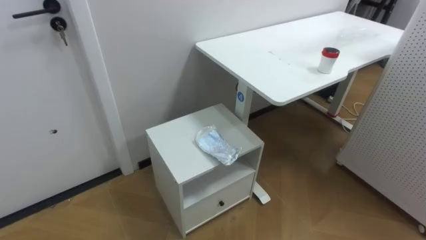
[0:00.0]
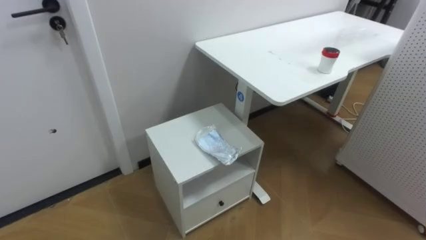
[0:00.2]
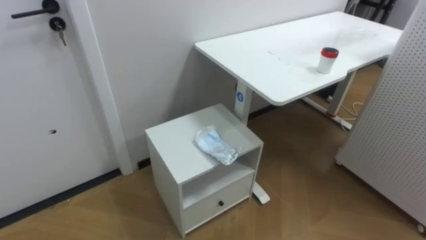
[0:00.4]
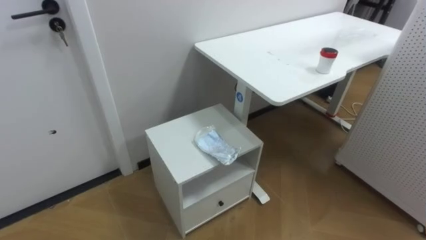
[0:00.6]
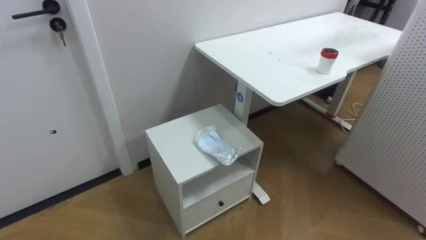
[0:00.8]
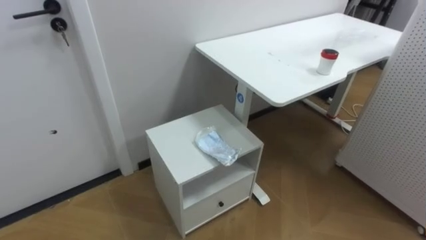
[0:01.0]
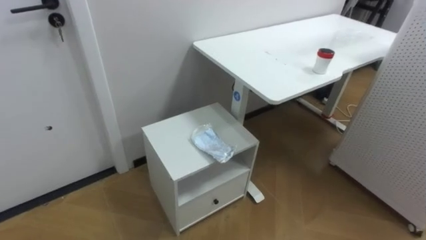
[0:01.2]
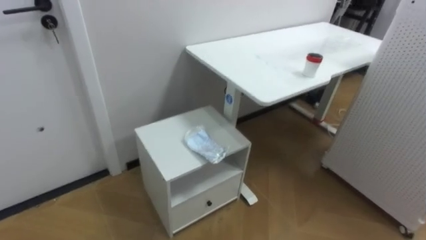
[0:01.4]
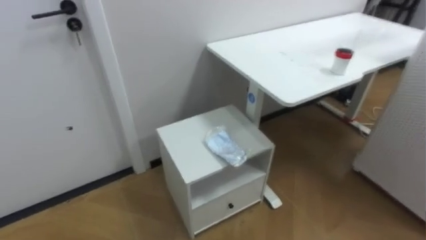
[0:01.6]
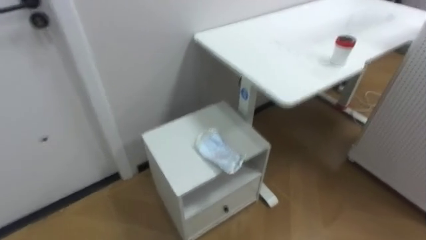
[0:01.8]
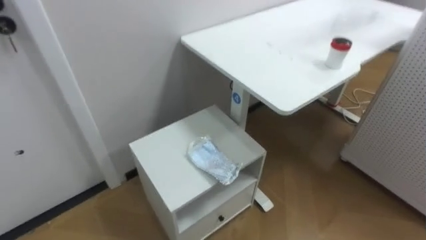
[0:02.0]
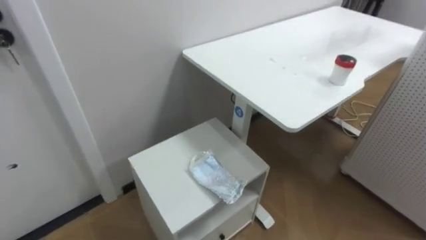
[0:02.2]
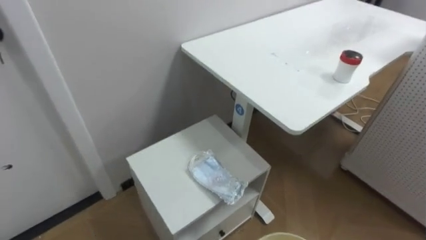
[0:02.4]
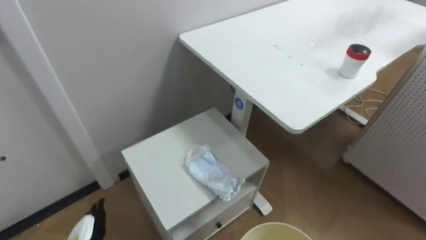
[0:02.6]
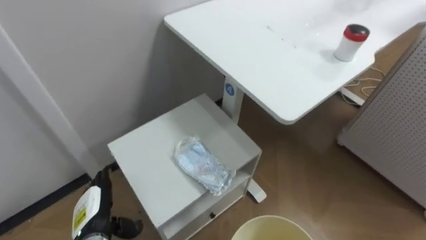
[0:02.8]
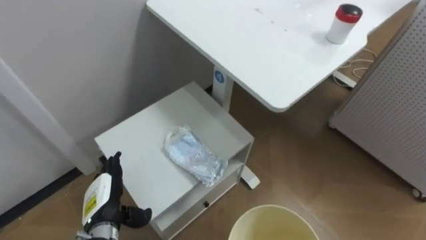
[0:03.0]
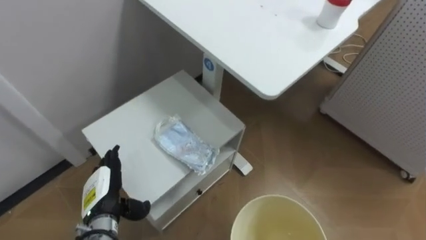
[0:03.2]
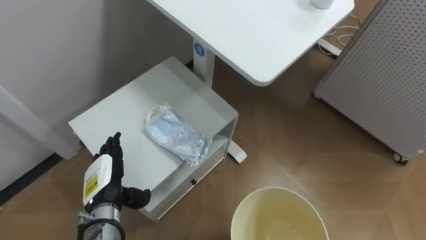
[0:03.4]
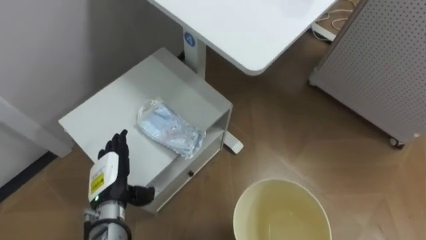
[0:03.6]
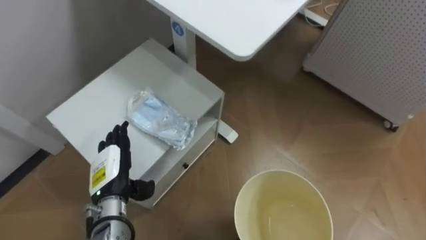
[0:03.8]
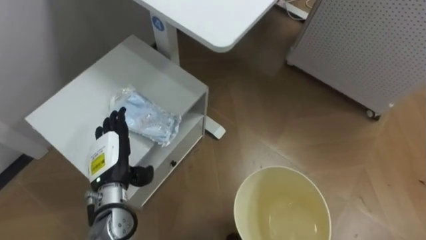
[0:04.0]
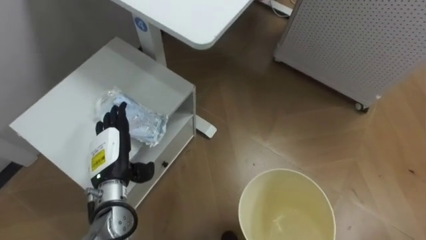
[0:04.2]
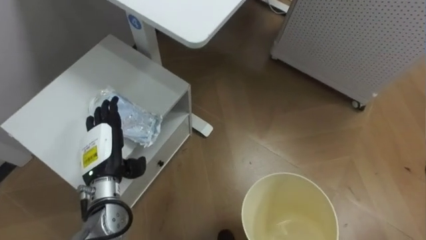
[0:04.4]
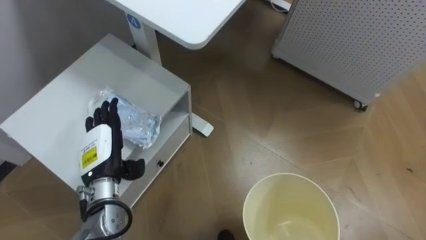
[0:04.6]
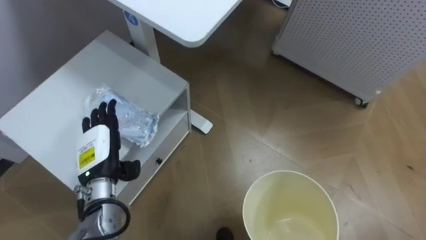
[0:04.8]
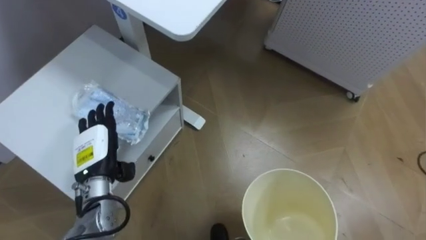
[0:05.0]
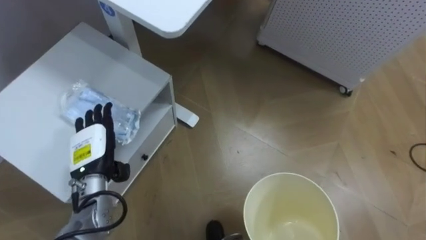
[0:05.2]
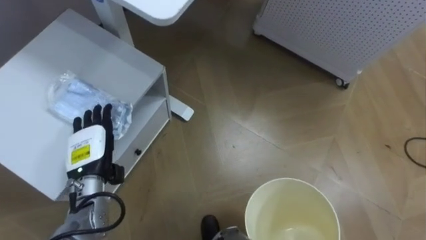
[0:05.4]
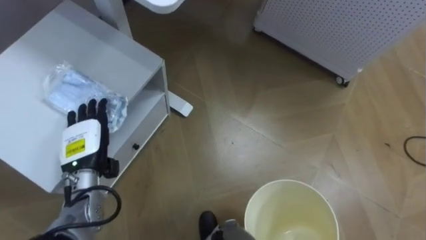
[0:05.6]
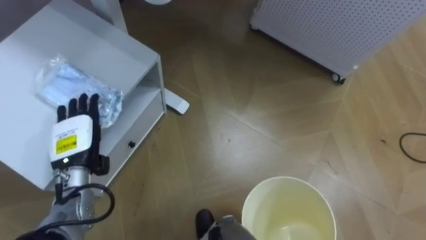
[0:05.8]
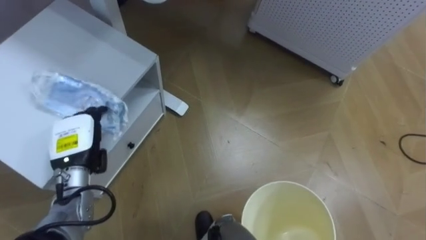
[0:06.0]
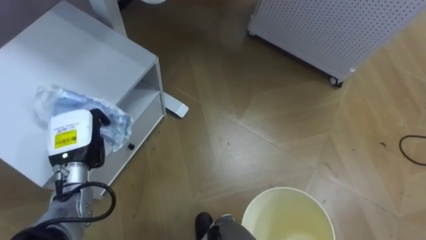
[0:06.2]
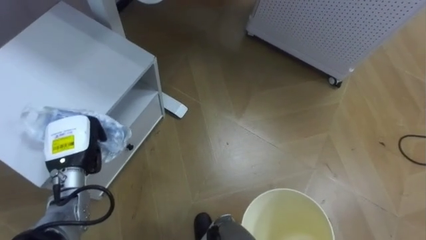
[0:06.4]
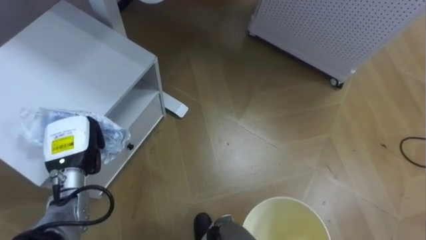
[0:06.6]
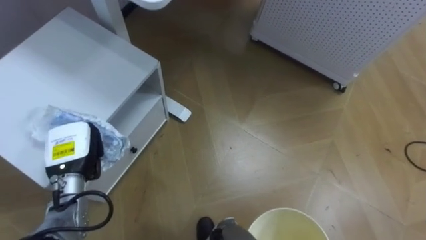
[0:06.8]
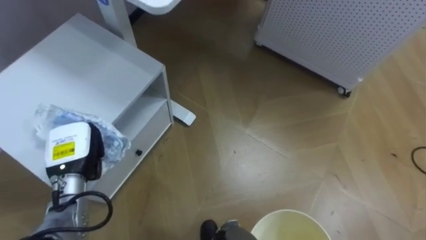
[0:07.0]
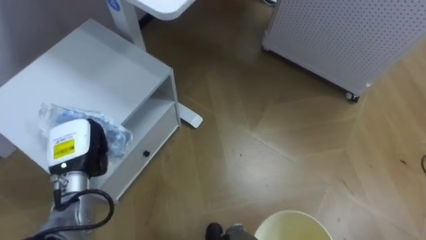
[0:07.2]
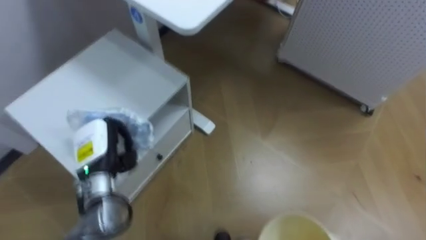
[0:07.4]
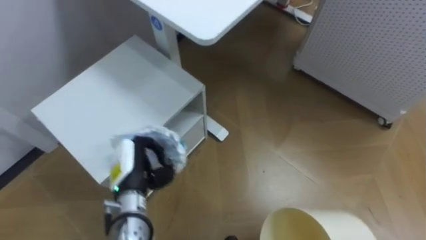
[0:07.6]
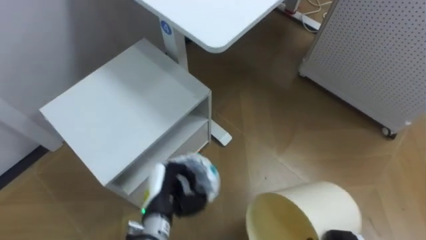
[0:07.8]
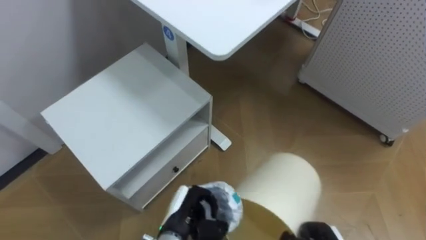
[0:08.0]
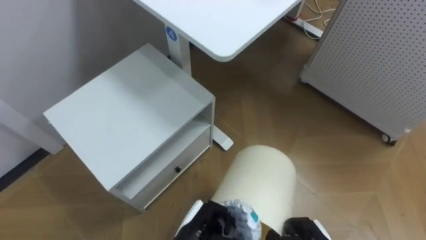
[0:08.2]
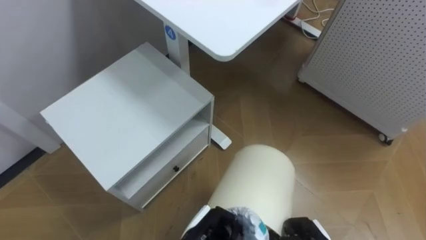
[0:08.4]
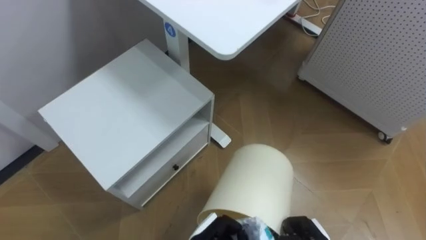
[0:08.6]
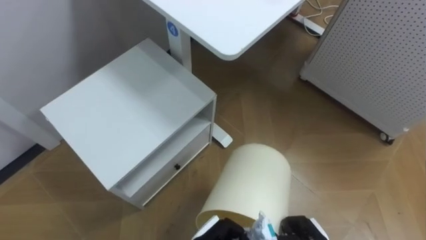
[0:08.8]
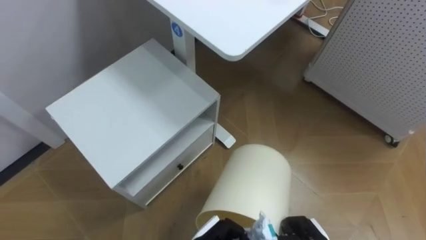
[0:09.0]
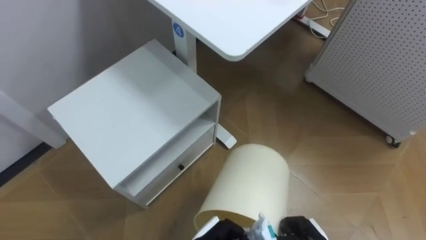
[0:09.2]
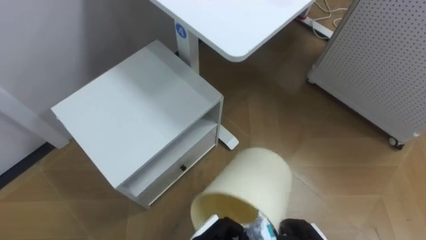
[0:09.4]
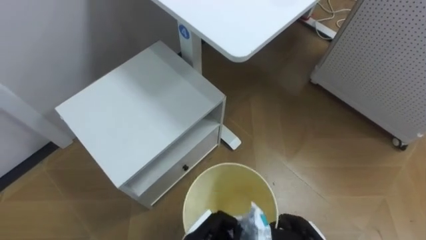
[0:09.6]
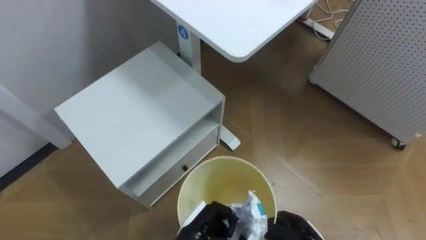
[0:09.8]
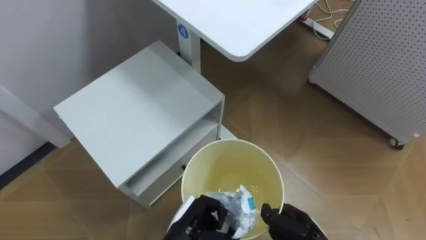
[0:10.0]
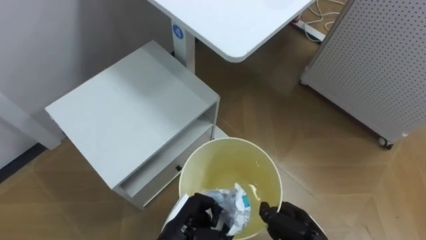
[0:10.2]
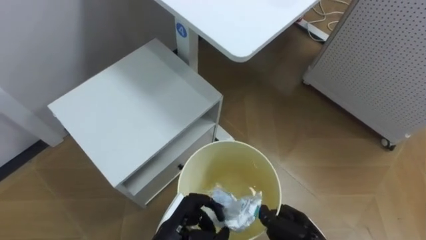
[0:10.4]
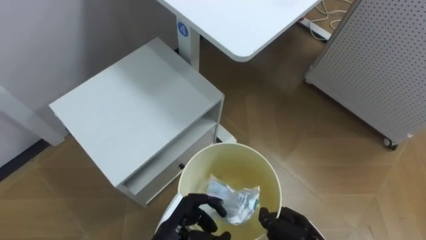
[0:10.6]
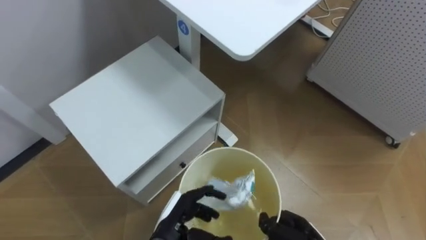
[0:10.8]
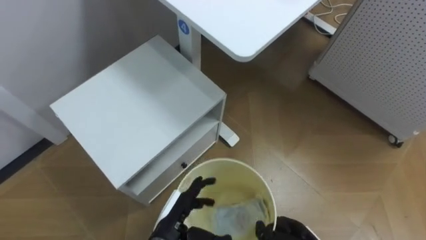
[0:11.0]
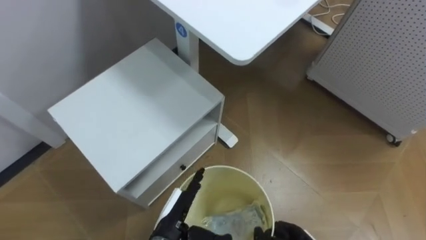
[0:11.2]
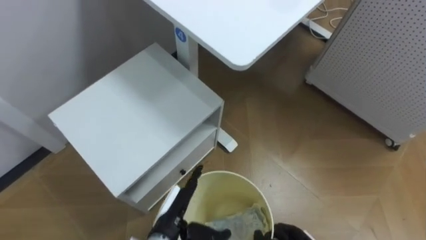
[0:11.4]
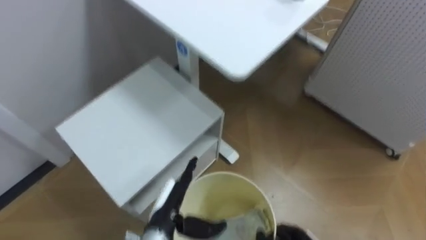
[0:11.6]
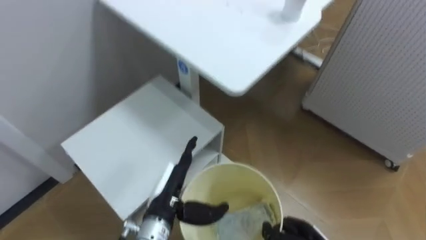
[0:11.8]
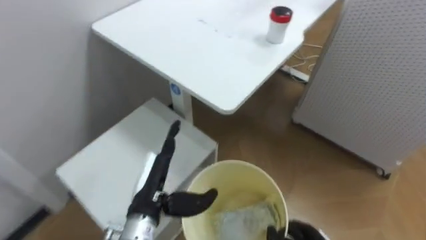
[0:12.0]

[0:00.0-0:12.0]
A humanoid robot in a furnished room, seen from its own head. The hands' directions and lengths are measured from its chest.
Task of the whole recording: Pick up the light blue package, the candy box, and the dark blue package separately, and put them into the trash can held in your right hand.
0:03.0 to 0:04.4: The left hand shifts about 10 cm upward and forward.
0:04.4 to 0:06.0: The left hand ends up some 5 cm from where it was.
0:06.0 to 0:07.6: The left hand shifts some 10 cm to the right, and closes.
0:10.4 to 0:12.0: The left hand heads upward, covering roughly 10 cm, and opens up.

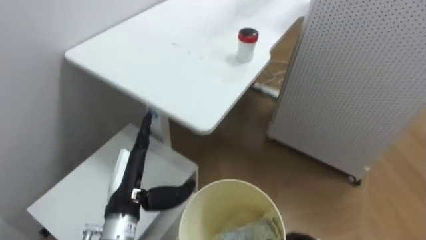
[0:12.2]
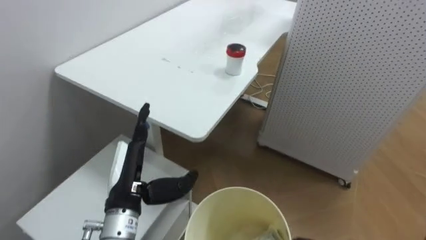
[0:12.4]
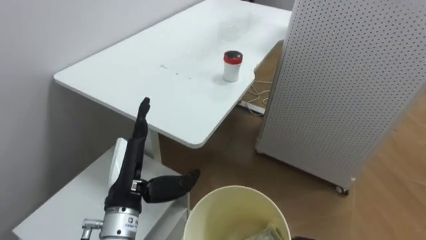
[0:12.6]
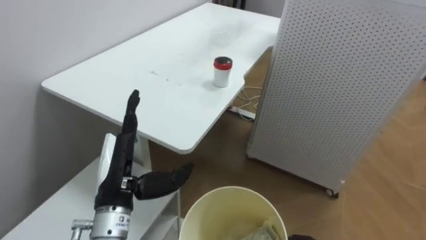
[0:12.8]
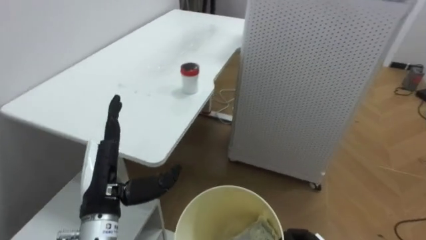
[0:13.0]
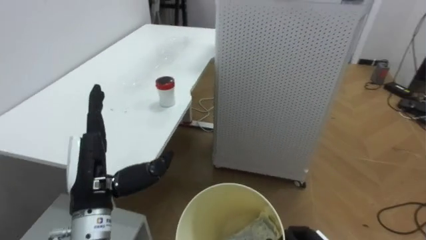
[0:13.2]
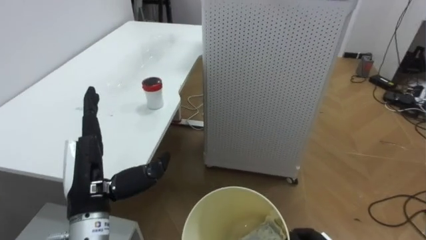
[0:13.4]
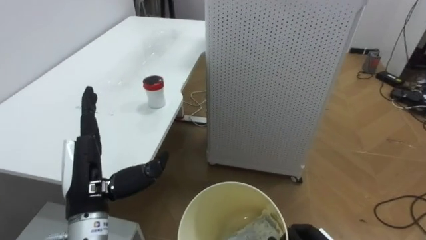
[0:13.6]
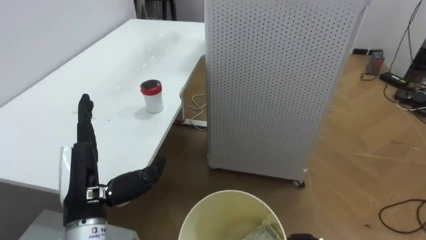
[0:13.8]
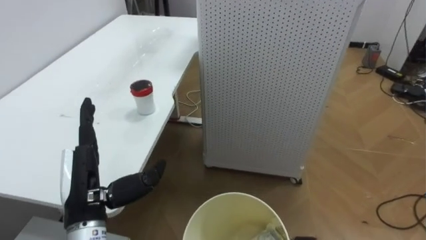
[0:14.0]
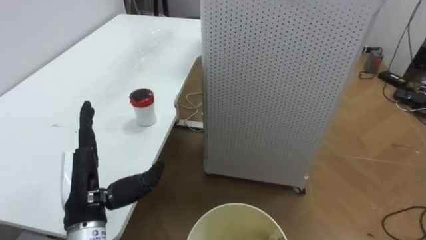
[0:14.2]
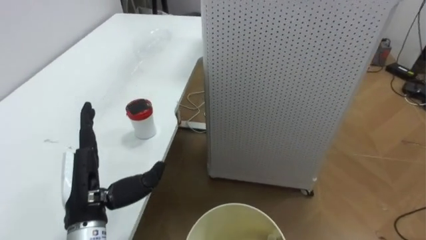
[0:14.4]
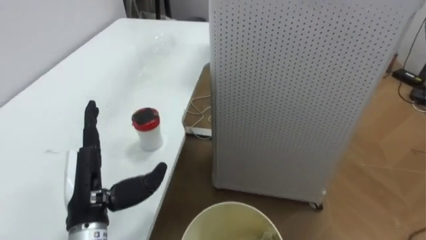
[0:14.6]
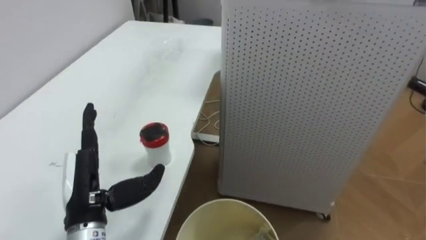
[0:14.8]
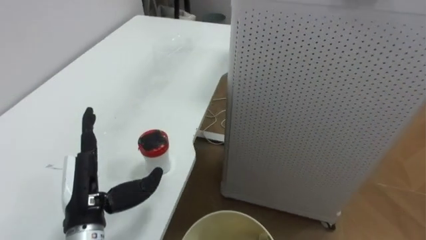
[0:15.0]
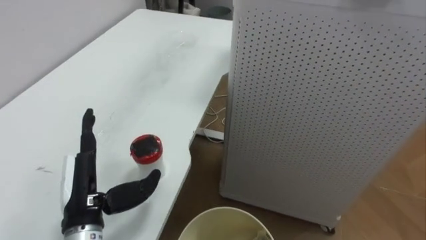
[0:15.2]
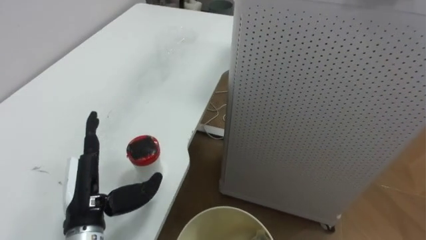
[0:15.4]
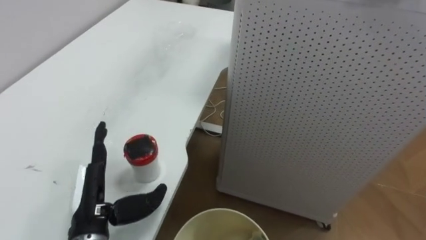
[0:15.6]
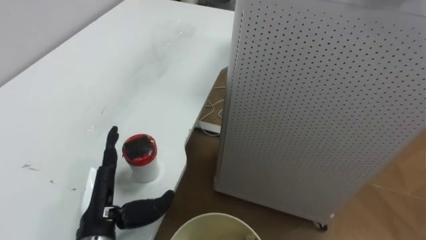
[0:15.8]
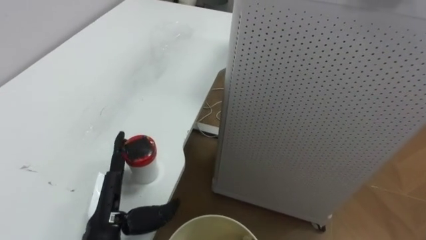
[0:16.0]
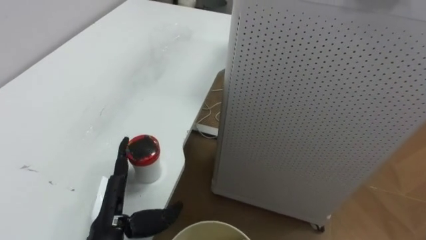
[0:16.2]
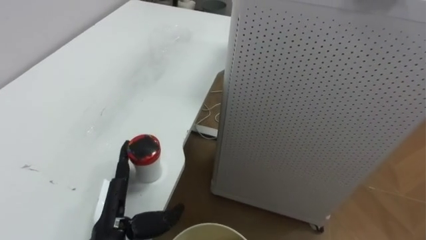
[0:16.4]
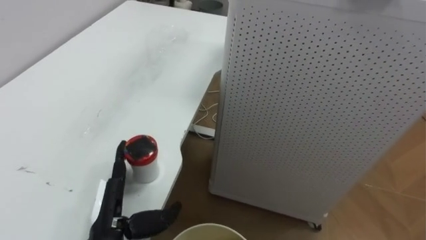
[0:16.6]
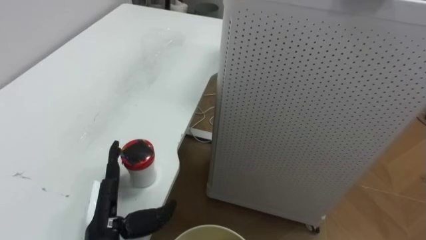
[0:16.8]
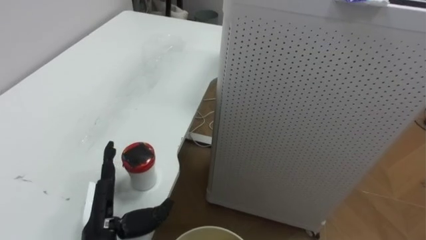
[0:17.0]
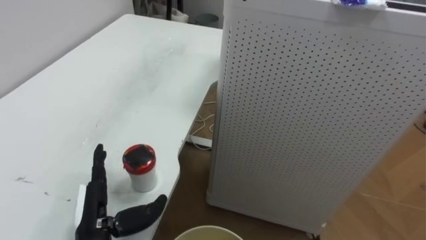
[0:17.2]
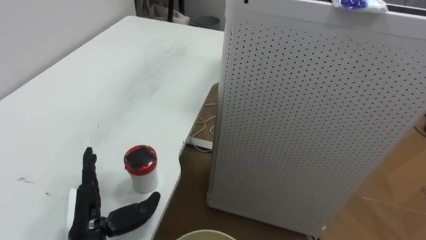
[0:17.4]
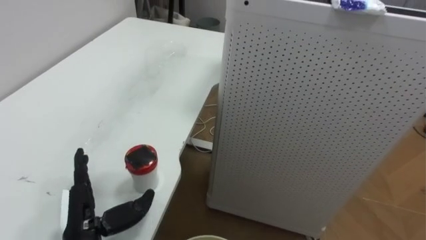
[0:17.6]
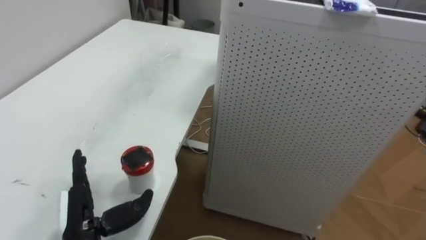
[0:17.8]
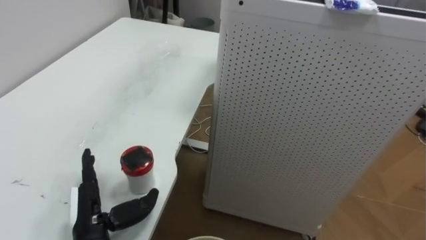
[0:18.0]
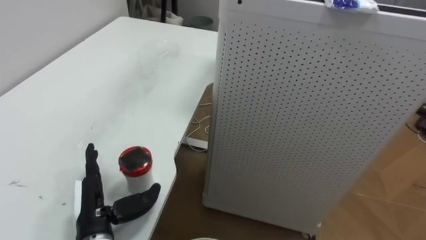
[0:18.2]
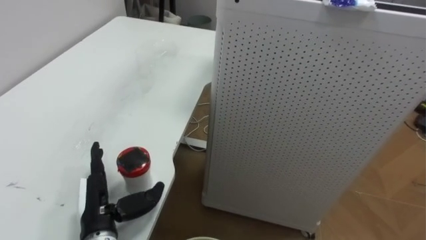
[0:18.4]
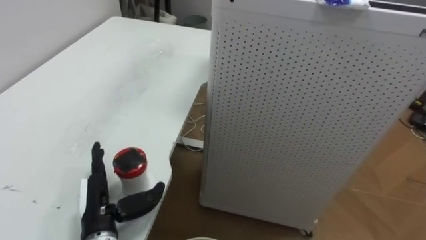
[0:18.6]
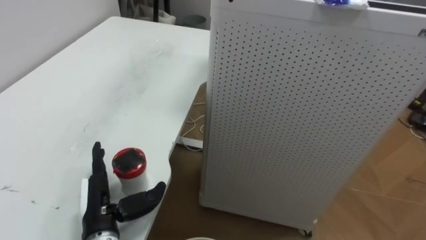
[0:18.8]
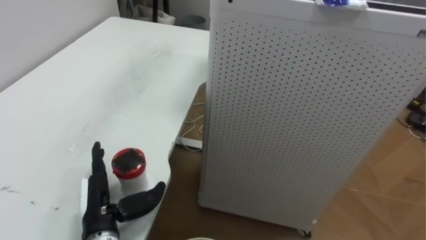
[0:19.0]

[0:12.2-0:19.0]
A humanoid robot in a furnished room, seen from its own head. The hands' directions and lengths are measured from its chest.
Task of the whole recording: Pick up the light blue package, the candy box, and the dark blue package separately, and put them into the trash can held in your right hand.
0:12.2 to 0:13.6: The robot rotates some 25 degrees to its right. The left hand travels upward by roughly 5 cm.
0:15.0 to 0:16.2: The left hand moves roughly 5 cm.
